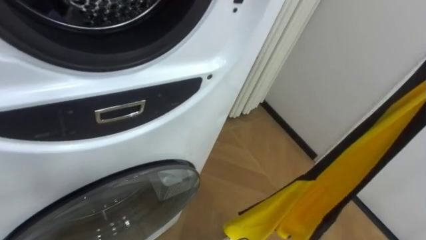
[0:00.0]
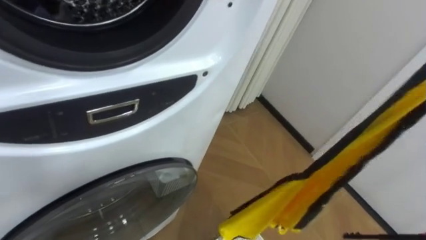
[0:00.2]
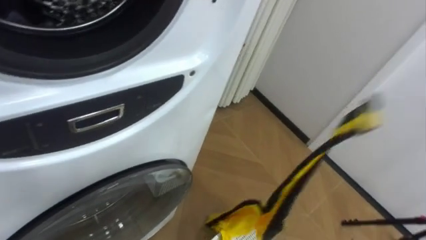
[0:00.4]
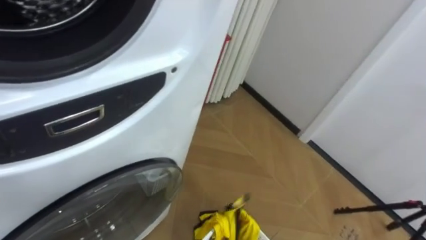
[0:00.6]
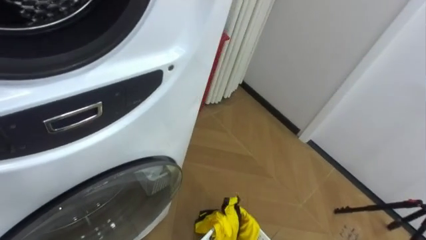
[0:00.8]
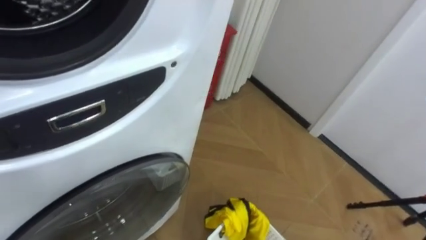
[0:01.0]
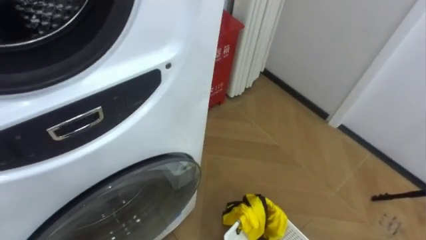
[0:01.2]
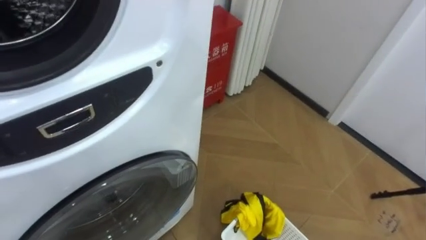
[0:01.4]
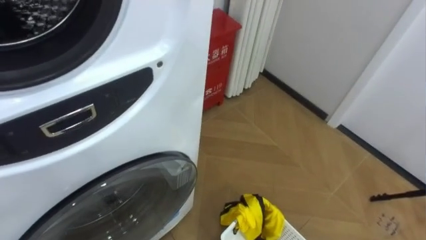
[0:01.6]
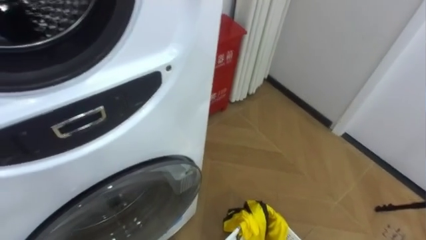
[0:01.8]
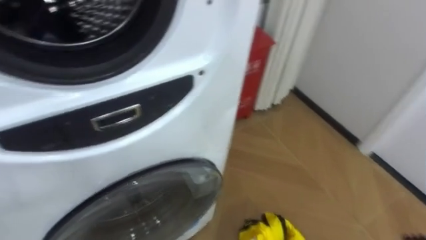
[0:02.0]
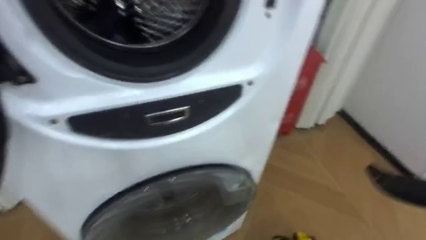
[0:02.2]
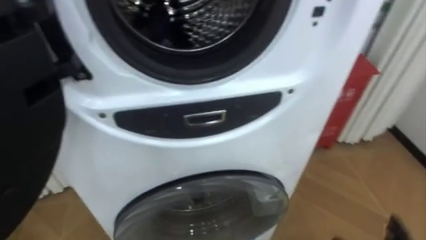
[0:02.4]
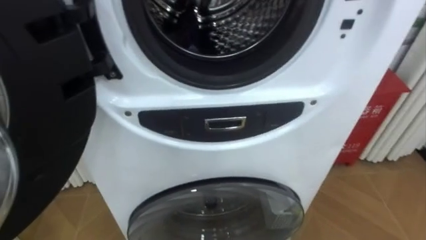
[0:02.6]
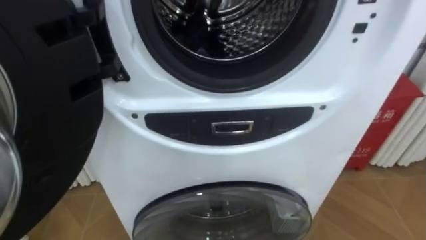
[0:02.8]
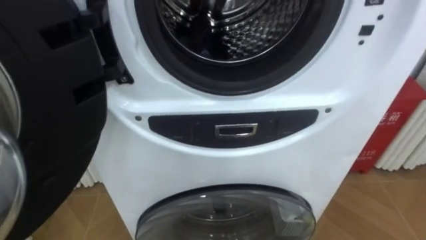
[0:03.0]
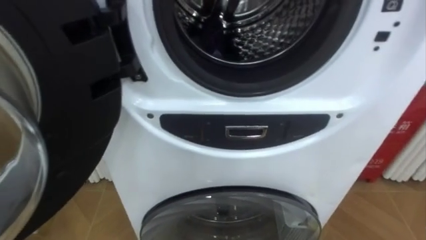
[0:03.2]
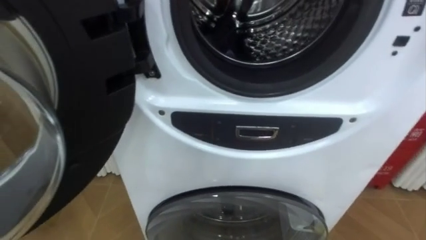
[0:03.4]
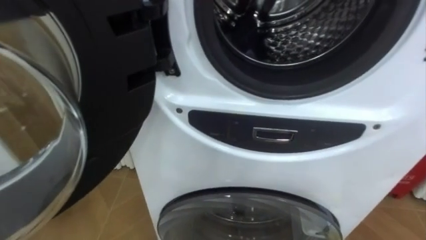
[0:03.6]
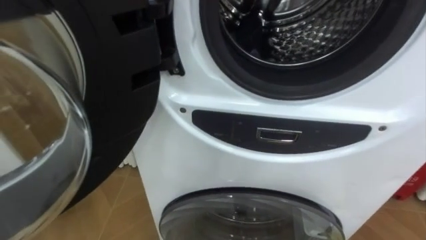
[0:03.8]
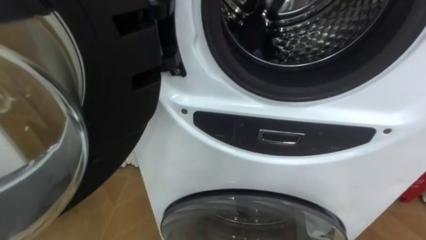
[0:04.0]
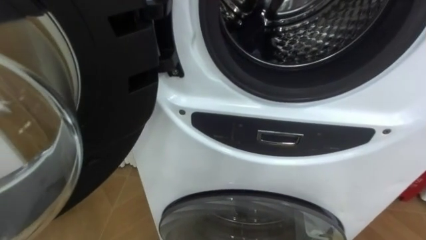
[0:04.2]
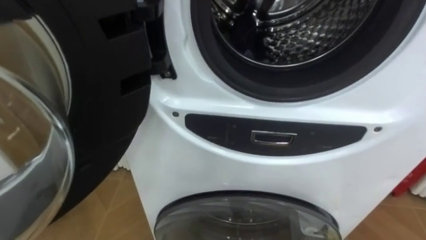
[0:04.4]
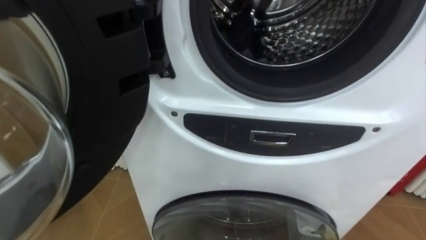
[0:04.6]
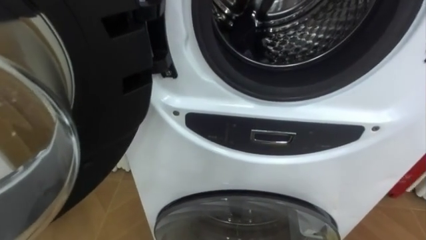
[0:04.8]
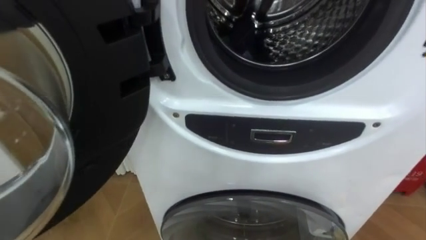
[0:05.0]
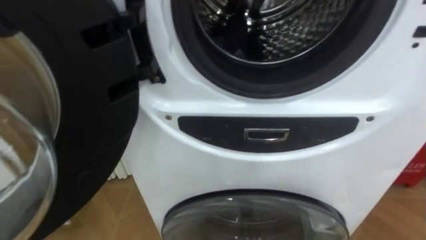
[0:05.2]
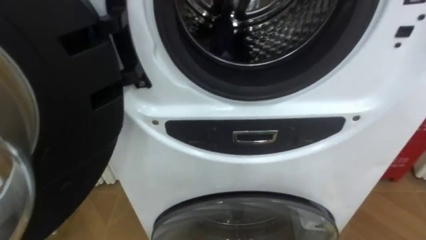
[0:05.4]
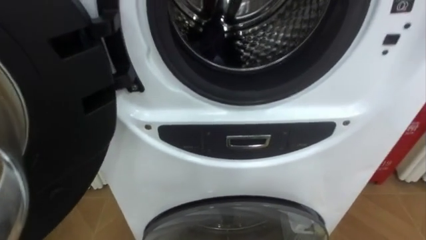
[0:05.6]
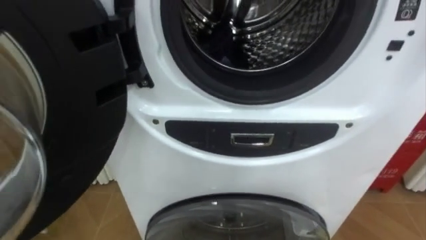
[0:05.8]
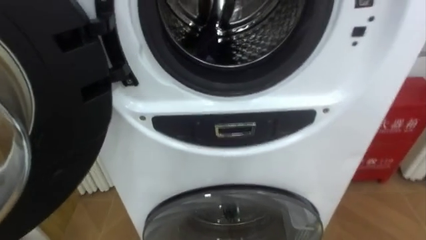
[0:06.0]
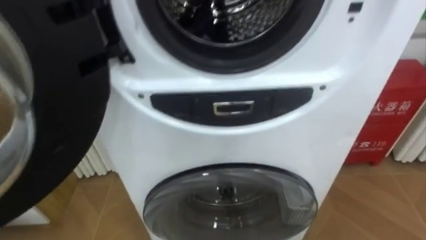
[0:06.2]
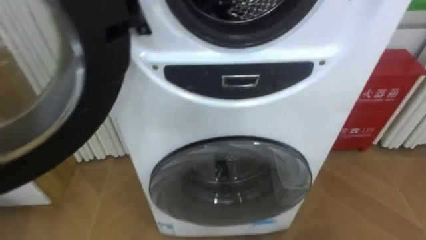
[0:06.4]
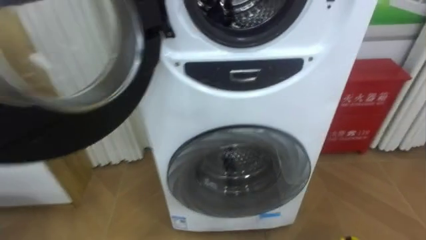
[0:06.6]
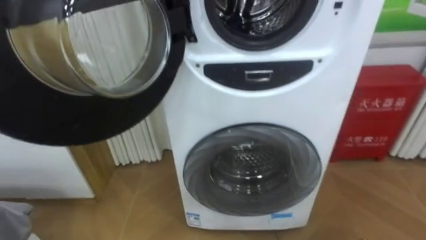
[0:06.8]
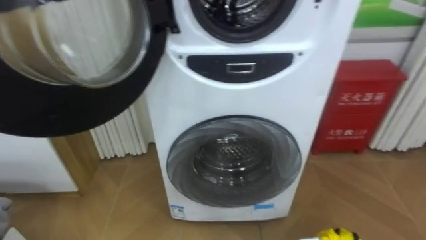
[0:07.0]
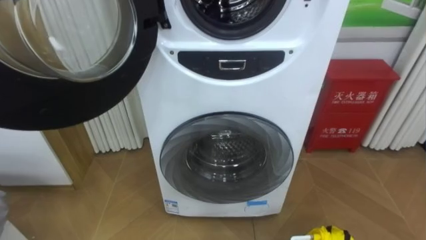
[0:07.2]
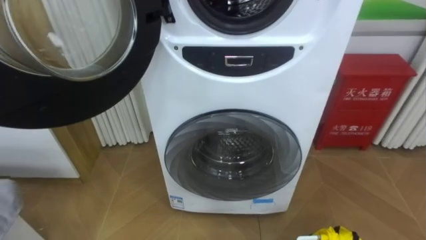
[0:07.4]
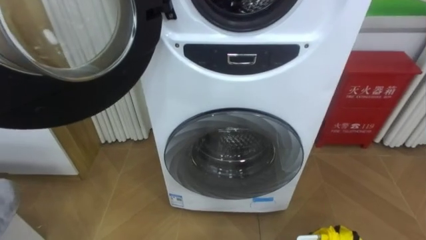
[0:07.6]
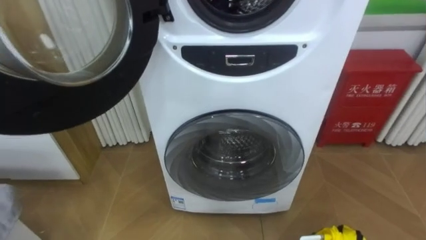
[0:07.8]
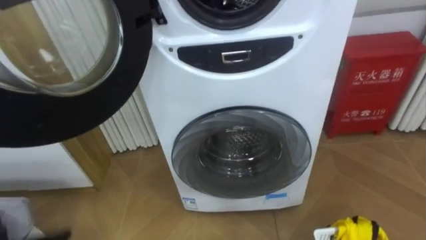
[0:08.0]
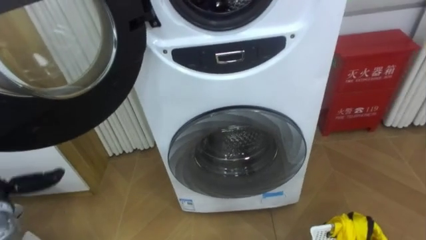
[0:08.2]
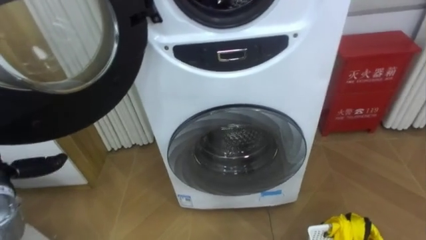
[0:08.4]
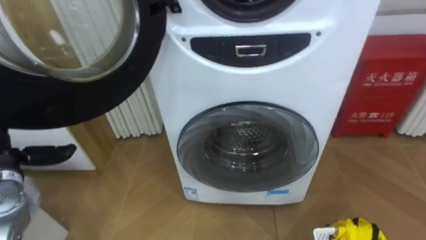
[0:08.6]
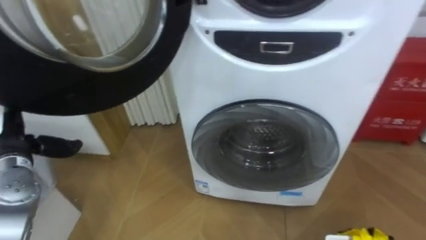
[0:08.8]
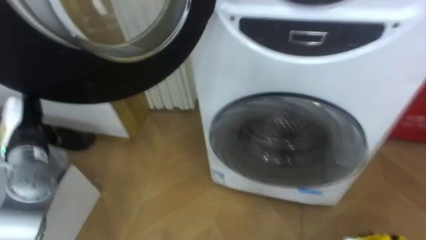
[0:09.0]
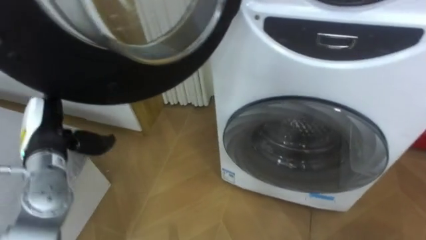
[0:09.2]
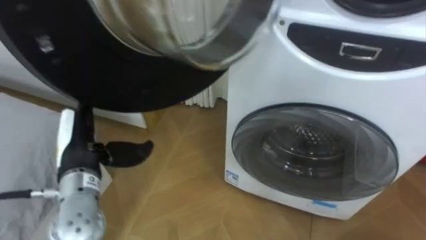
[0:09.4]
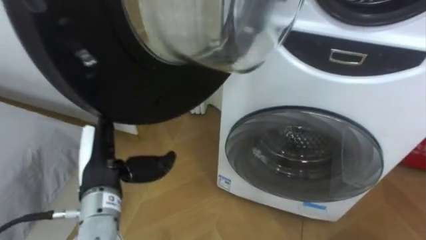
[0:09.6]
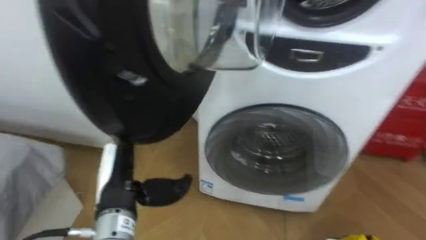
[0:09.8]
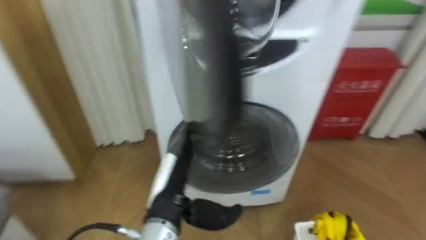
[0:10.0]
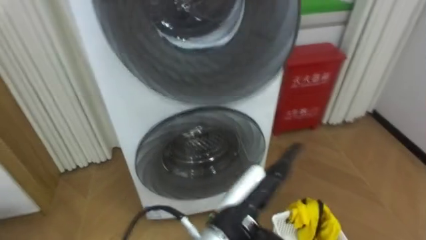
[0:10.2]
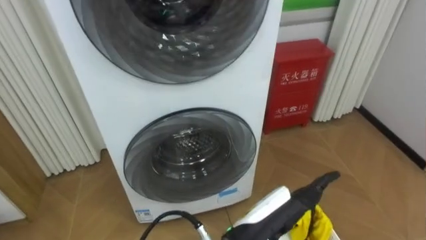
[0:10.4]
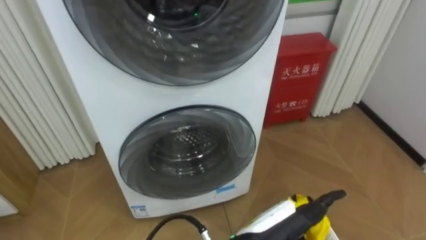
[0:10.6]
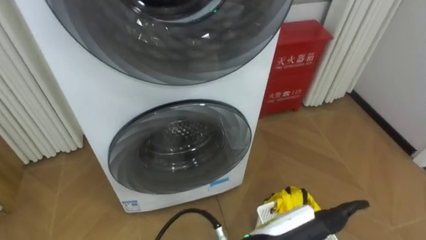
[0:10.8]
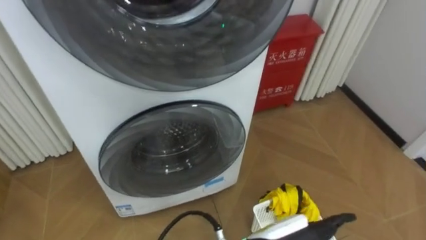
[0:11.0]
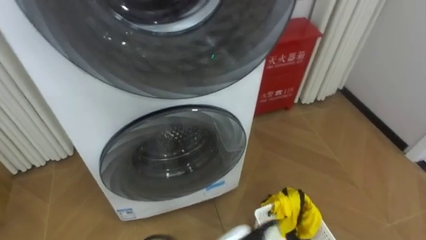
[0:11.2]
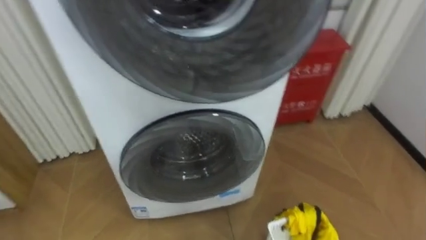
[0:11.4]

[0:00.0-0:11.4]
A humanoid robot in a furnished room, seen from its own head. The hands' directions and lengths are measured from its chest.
Task of the whole recording: Open the washing machine door, take out the yellow clothes, place them in the box on the right, and close the washing machine door.
0:08.6 to 0:10.0: The left hand shifts about 30 cm to the right.

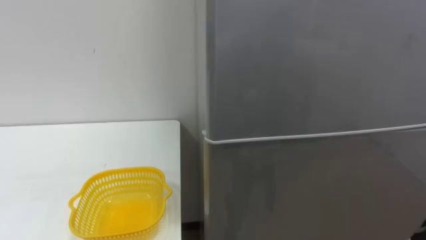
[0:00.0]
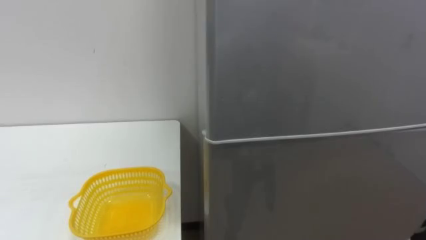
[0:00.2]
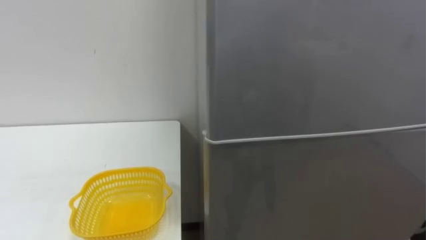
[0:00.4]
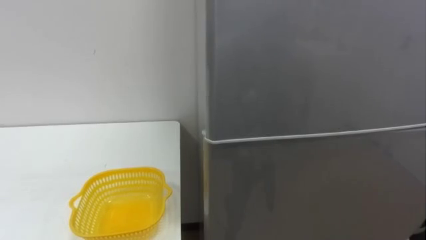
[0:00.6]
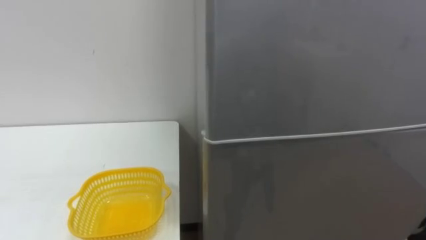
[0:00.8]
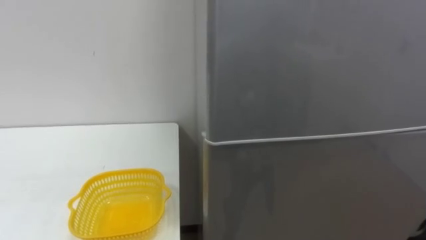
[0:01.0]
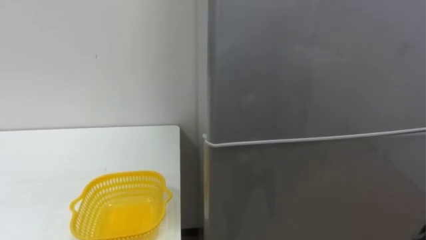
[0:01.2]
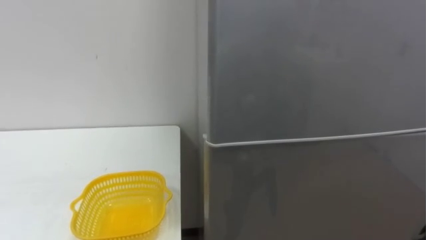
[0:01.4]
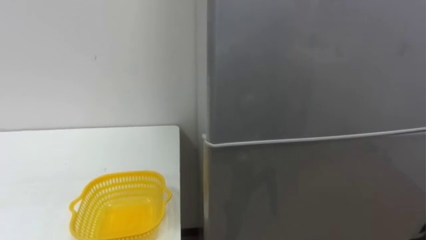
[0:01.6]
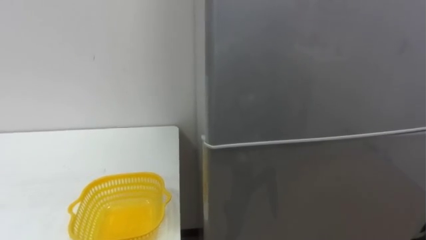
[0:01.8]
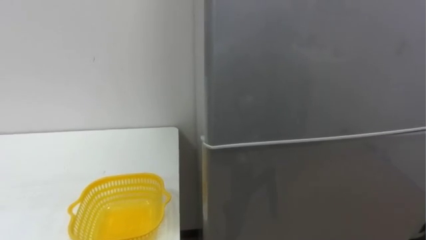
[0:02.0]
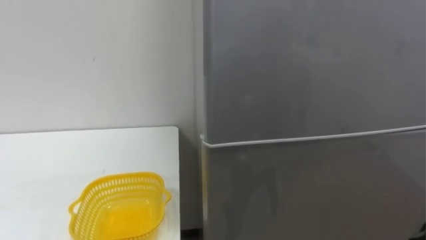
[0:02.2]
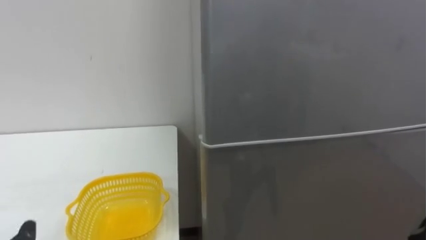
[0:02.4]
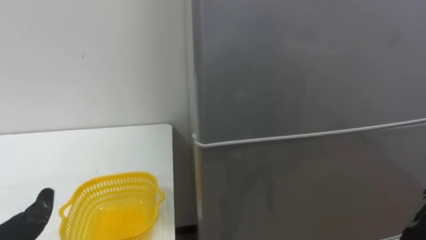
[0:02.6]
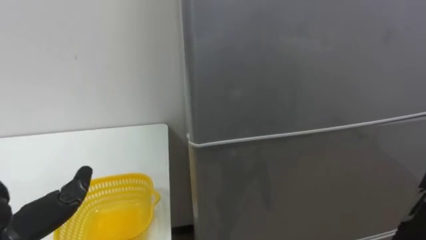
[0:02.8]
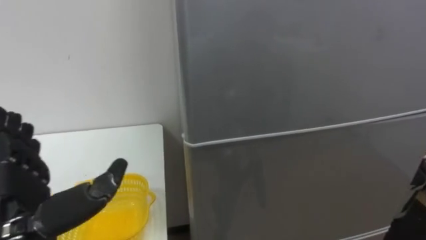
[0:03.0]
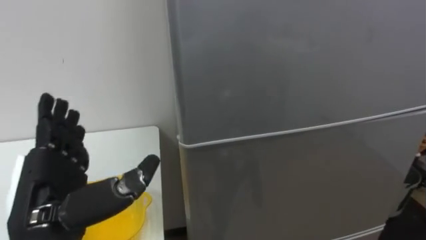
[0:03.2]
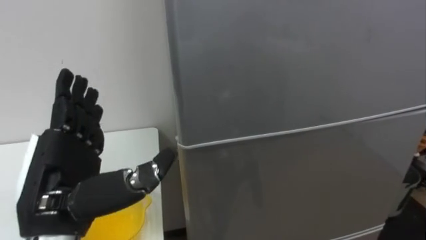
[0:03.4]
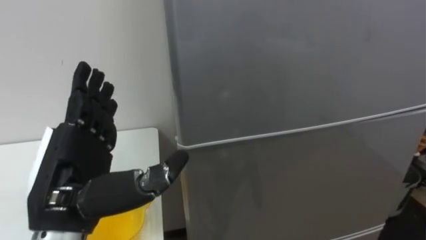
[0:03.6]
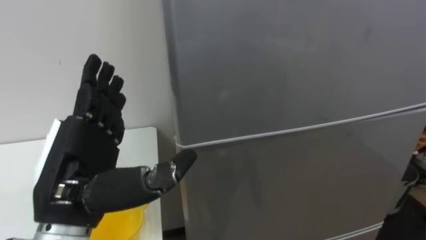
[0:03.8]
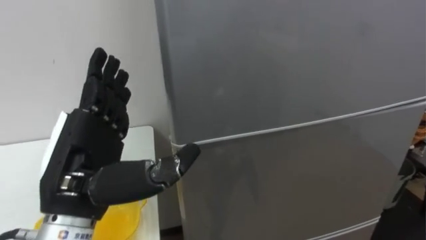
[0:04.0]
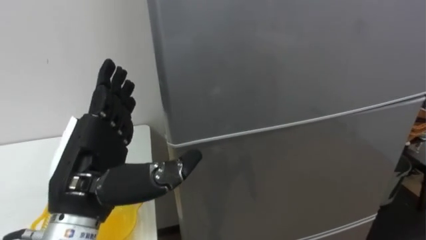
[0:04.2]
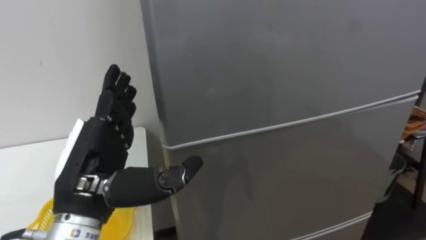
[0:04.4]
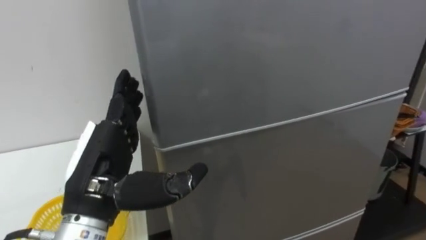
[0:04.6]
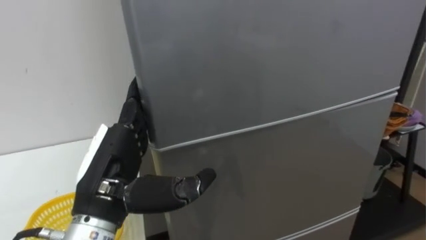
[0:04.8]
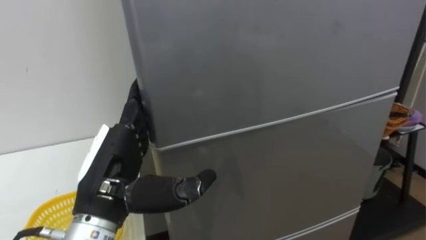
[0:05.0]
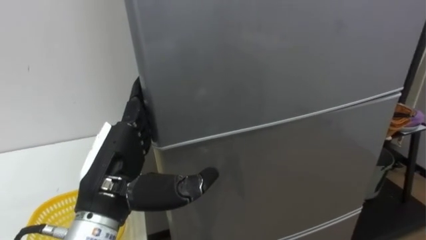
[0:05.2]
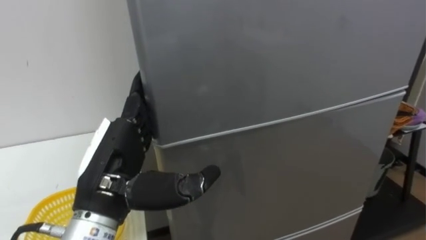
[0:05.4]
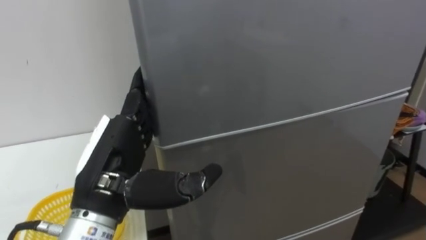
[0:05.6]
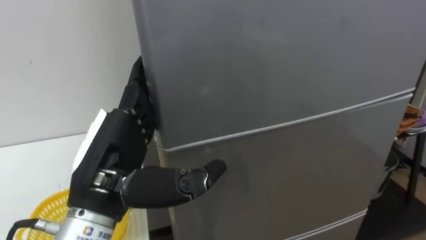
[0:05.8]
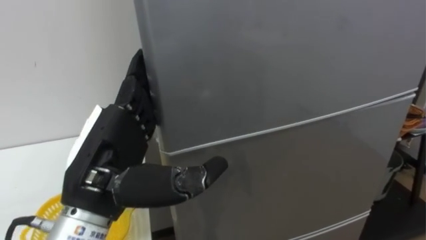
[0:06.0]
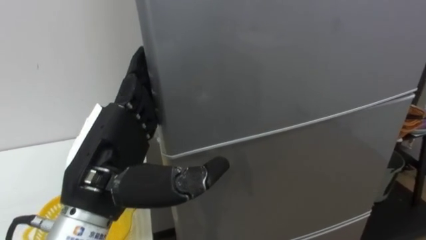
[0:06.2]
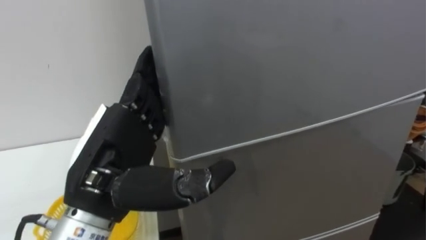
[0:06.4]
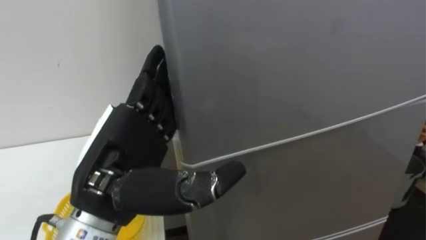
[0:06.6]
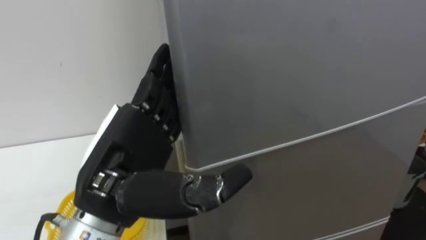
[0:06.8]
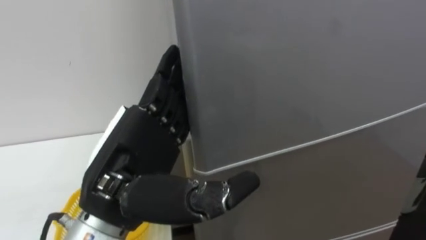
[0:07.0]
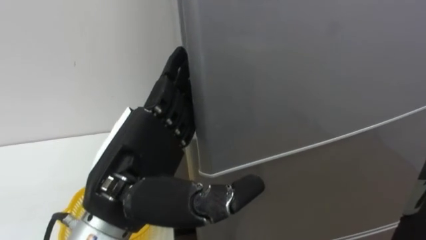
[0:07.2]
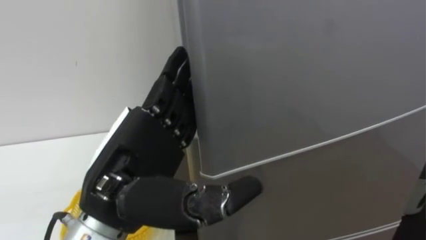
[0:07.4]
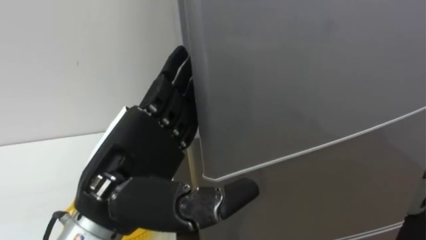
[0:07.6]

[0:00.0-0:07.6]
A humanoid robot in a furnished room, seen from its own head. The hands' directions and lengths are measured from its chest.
Task of the whole recording: Open the refrigerator door, take out the apple and the pomegranate, place them in the fruit basket on the left, and close the refrigerator door.
0:03.0 to 0:04.6: The left hand is displaced to the right by about 10 cm.
